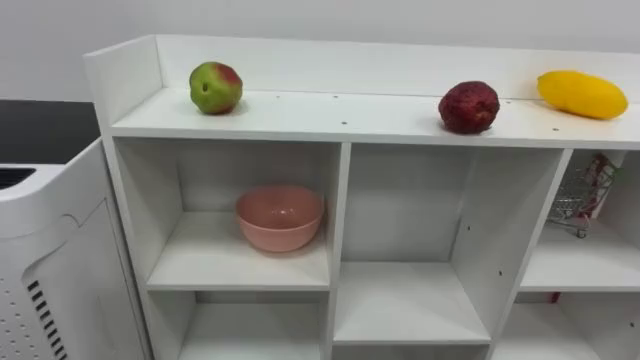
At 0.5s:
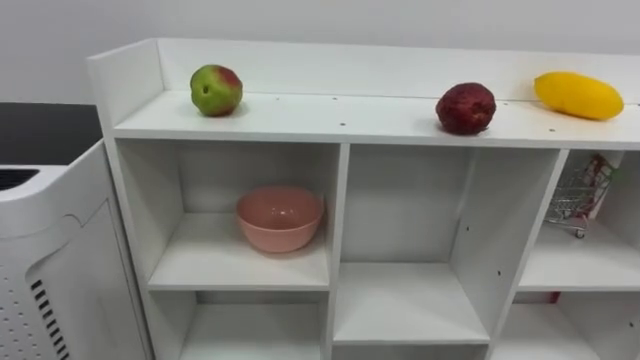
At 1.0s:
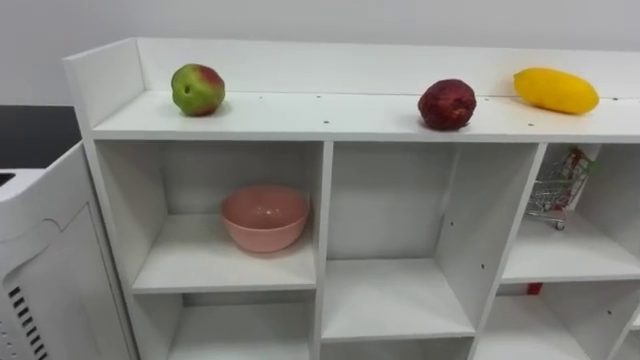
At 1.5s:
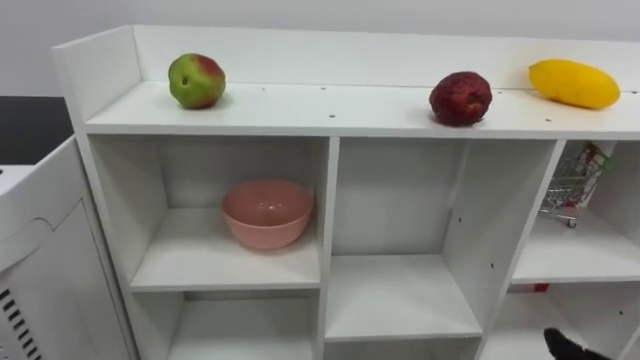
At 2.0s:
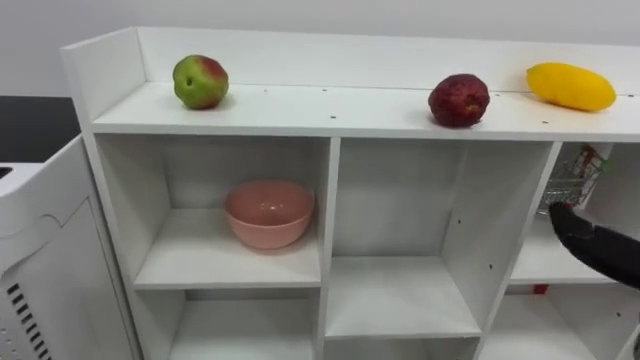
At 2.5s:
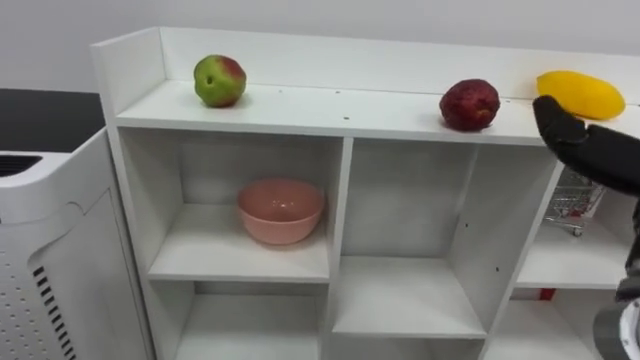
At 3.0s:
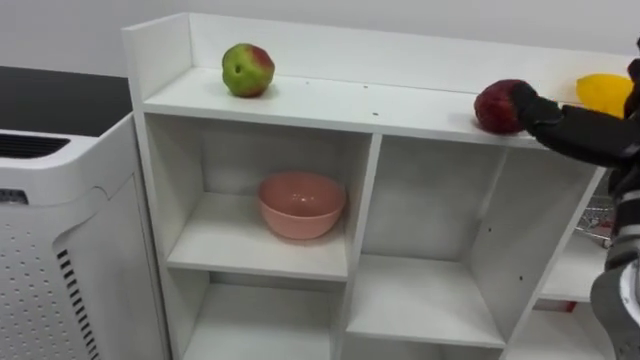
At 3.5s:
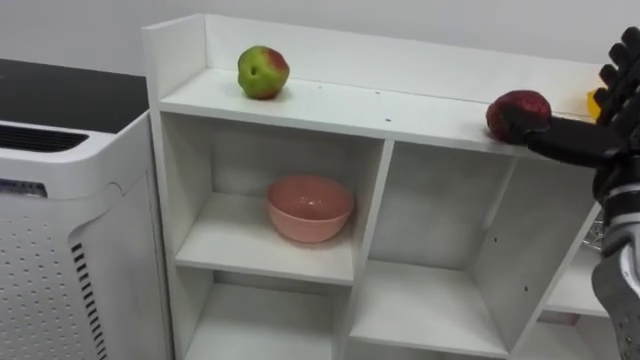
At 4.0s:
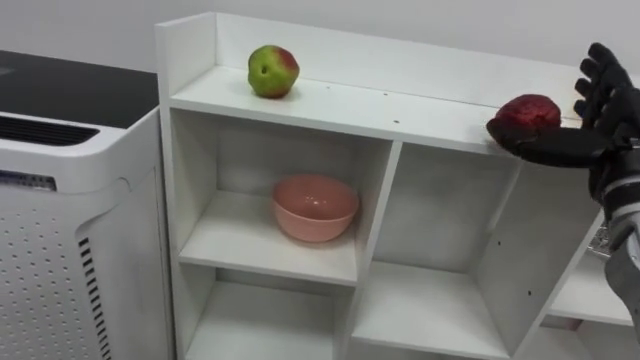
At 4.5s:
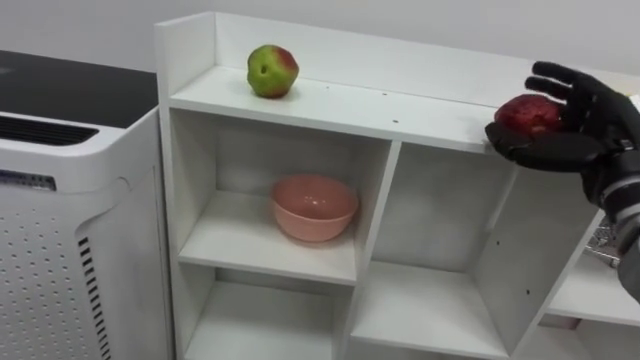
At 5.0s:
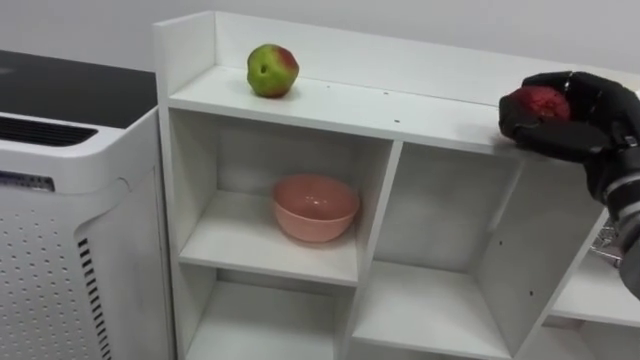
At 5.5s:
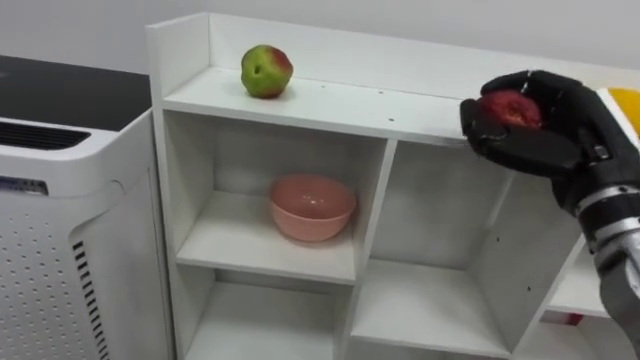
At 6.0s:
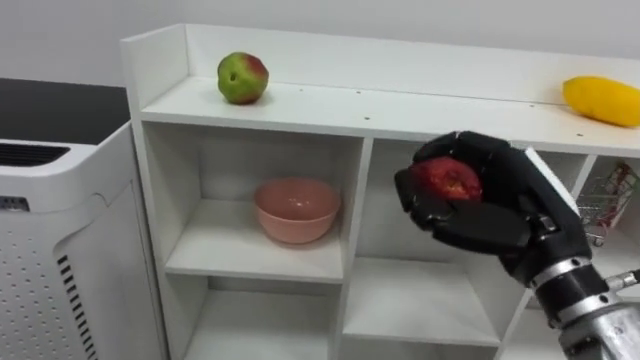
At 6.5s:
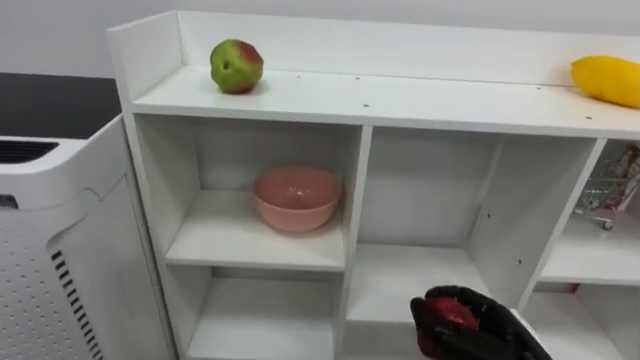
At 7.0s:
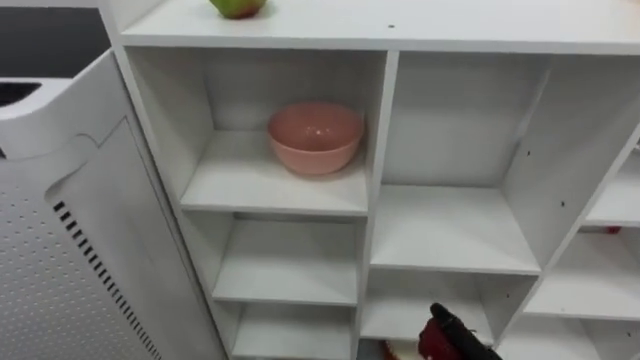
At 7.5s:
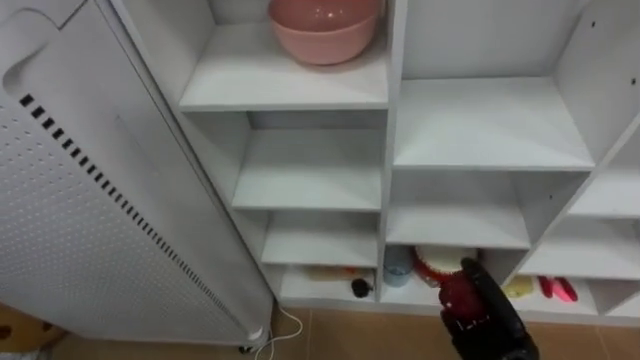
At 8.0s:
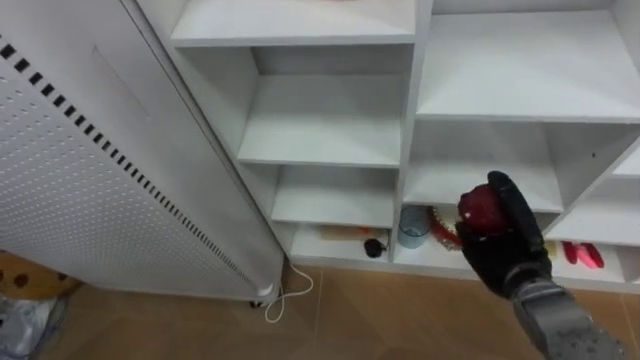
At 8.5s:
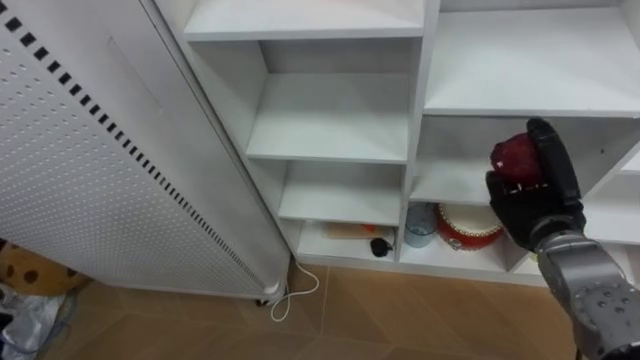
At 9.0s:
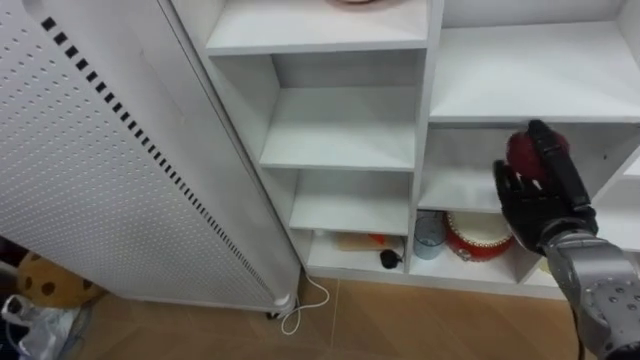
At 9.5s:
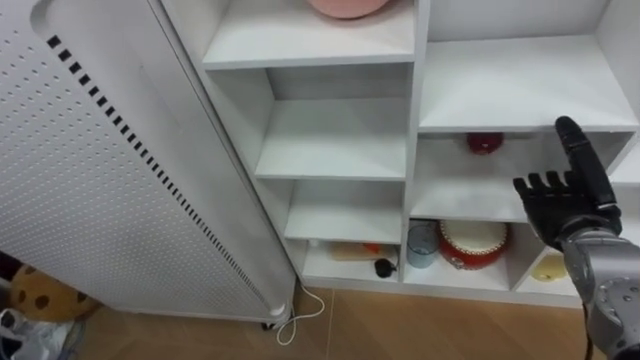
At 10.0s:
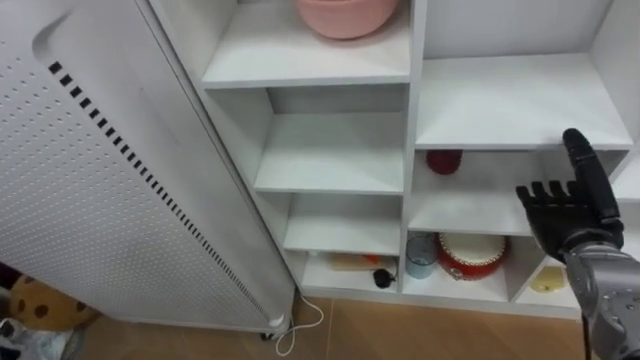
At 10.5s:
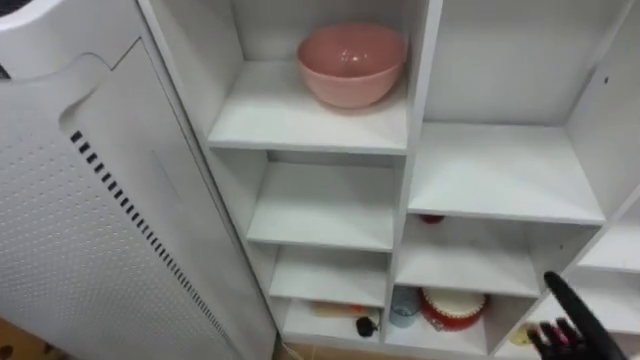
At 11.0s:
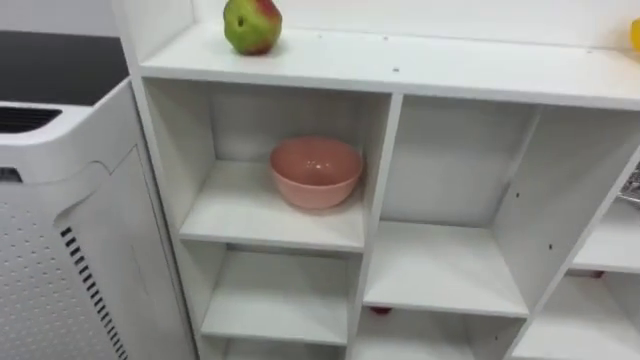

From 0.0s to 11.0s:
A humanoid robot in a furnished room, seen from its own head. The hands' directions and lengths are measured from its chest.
Task of the whole recording: Put the apple in the cell in the second column from the left and the second row from the top.
From 3.5s to 5.5s: The right hand closes up.
From 7.5s to 9.0s: The right hand heads upward and forward, covering roughly 15 cm, and opens its fingers.

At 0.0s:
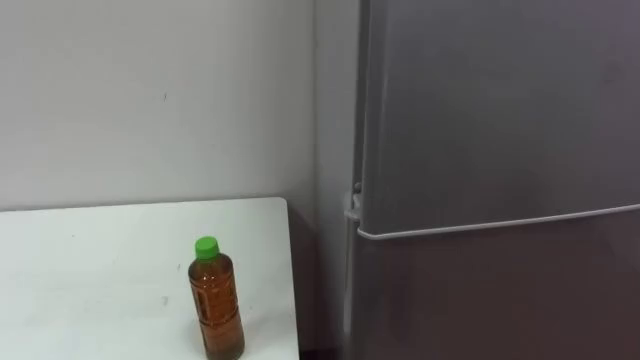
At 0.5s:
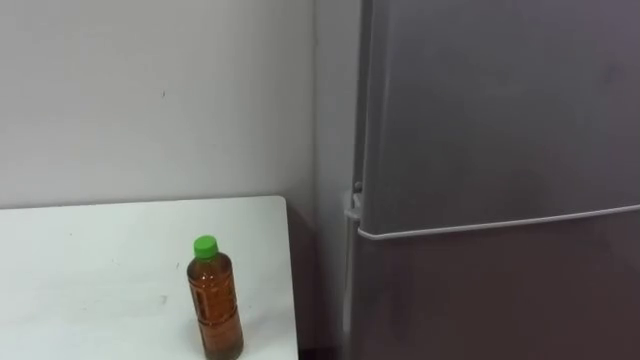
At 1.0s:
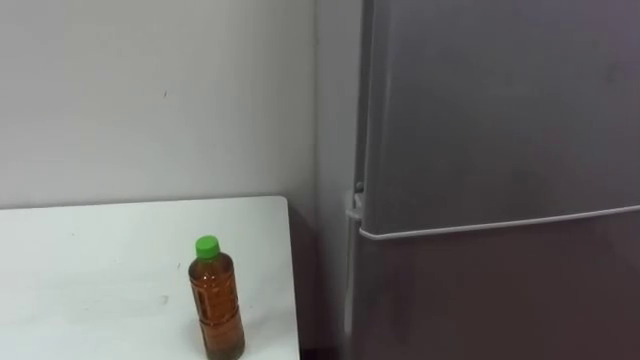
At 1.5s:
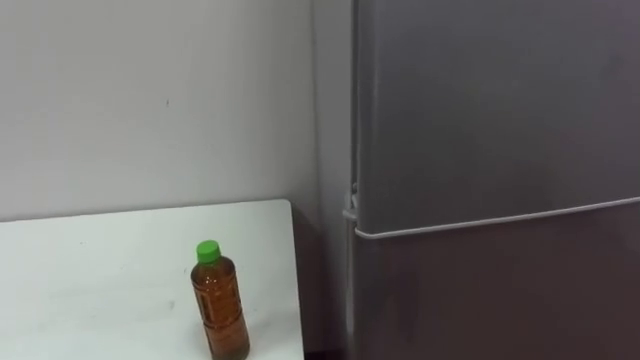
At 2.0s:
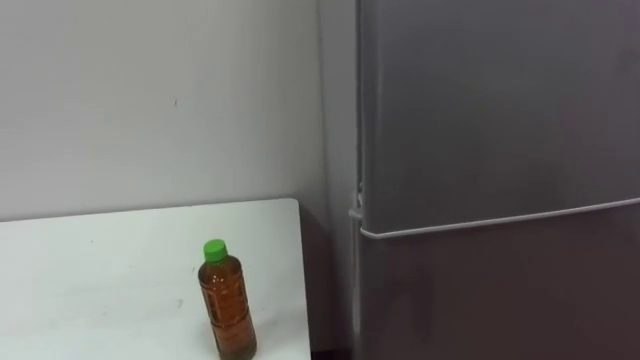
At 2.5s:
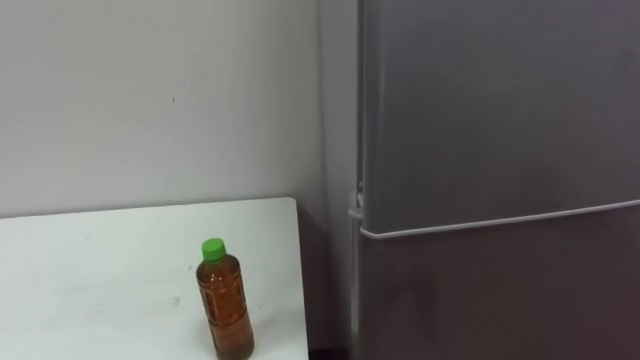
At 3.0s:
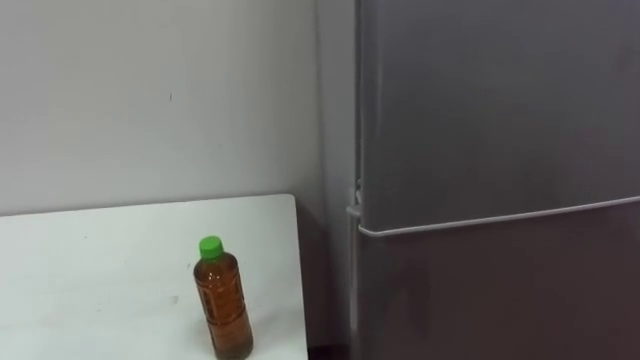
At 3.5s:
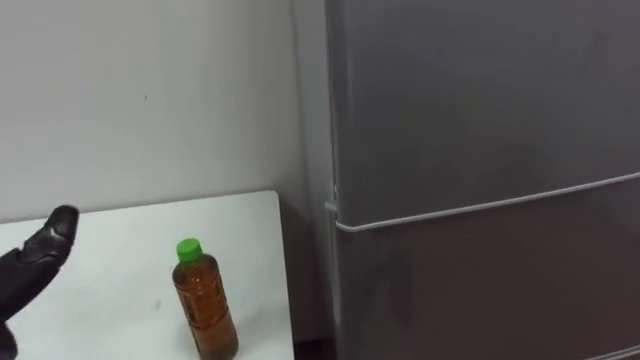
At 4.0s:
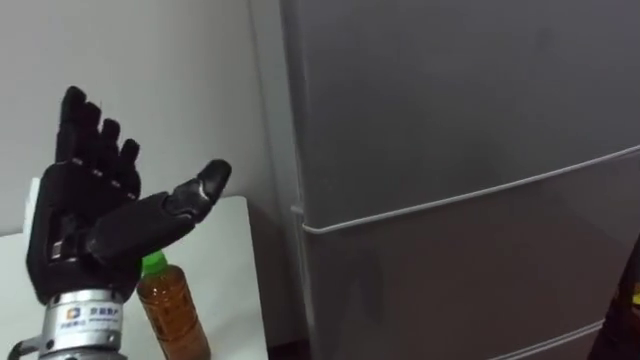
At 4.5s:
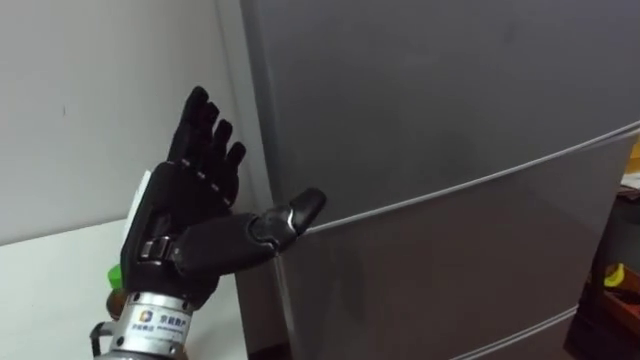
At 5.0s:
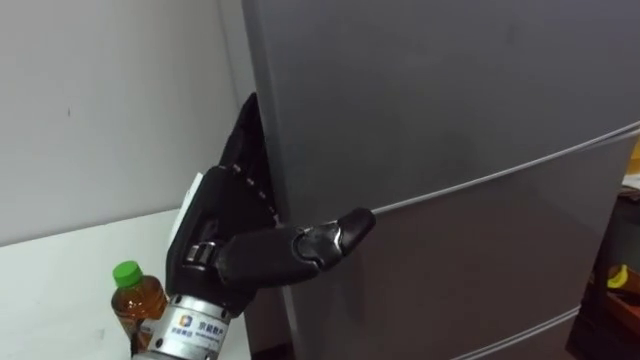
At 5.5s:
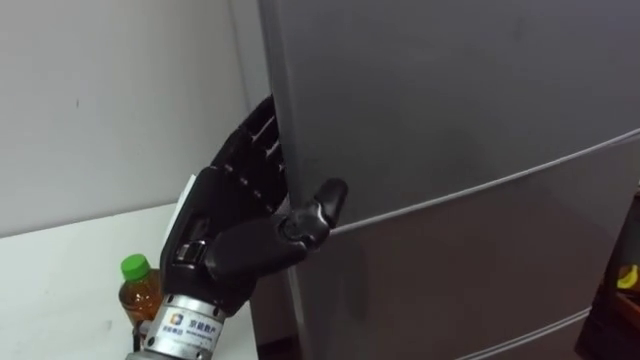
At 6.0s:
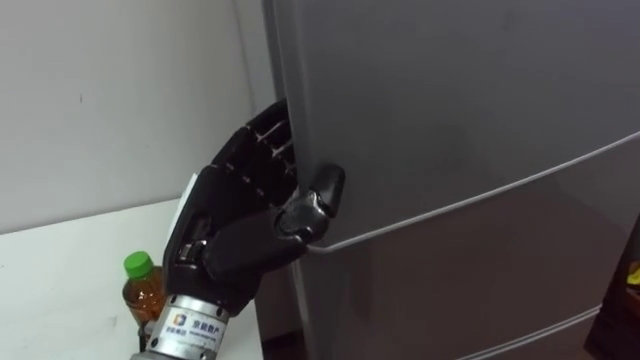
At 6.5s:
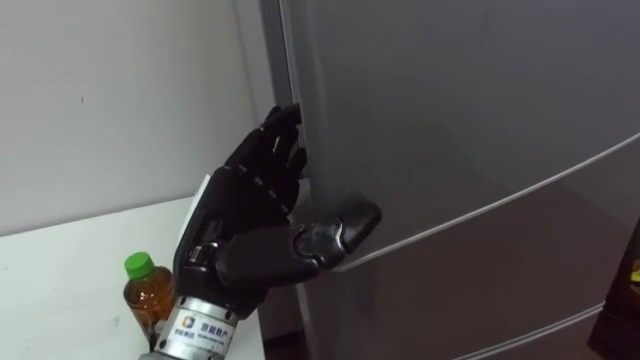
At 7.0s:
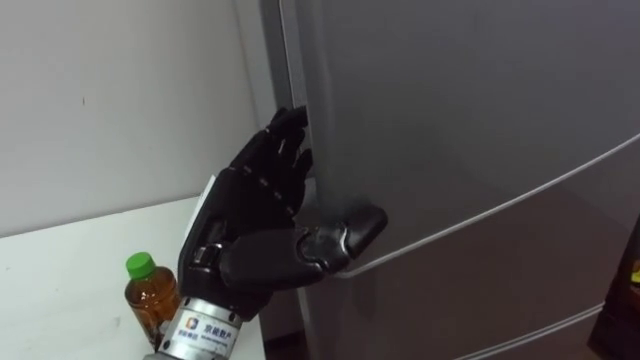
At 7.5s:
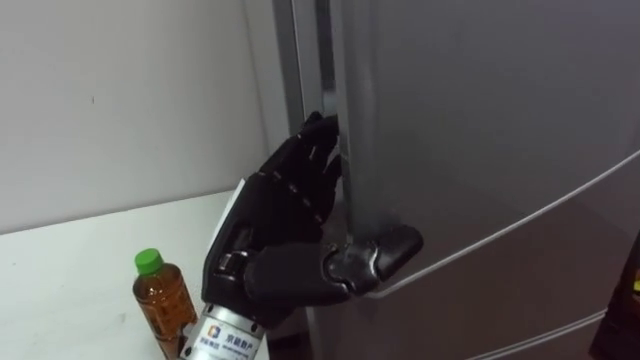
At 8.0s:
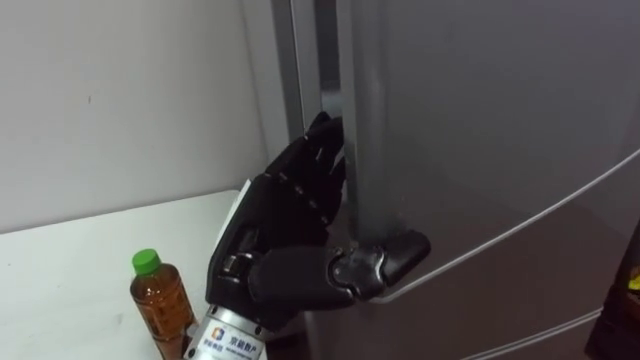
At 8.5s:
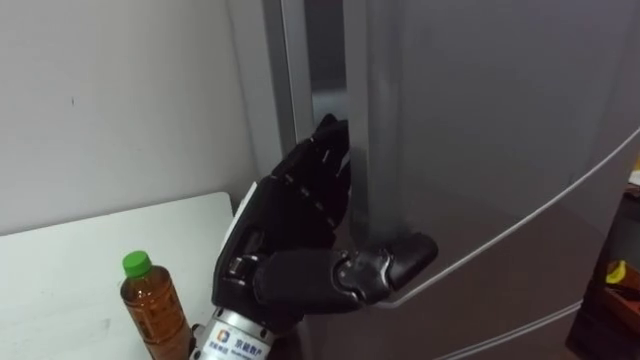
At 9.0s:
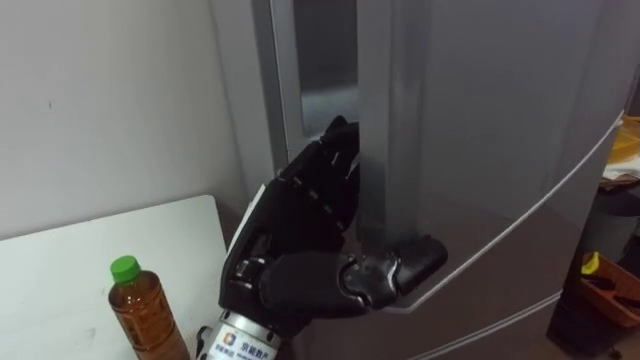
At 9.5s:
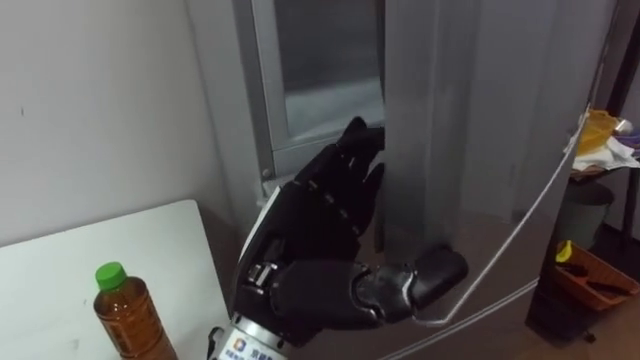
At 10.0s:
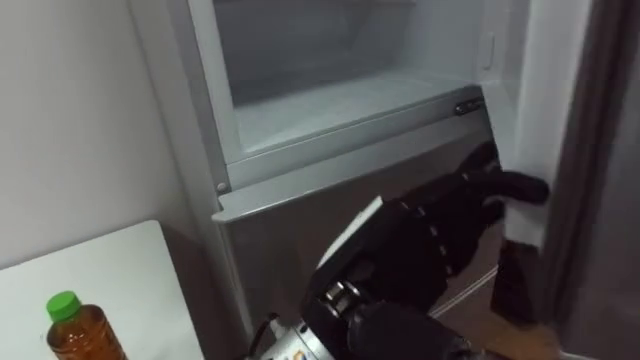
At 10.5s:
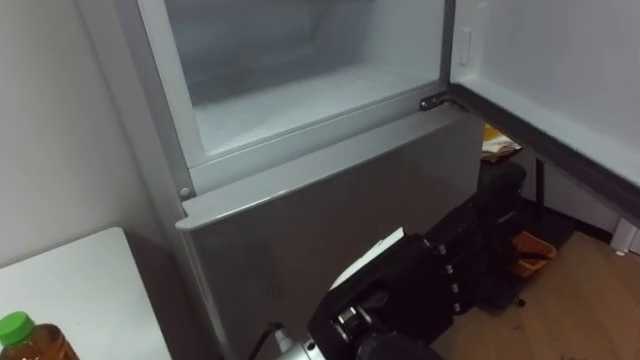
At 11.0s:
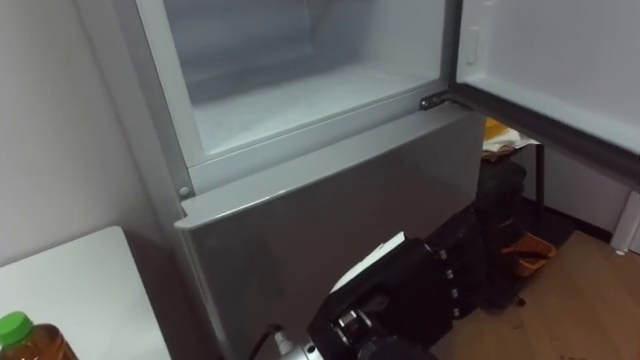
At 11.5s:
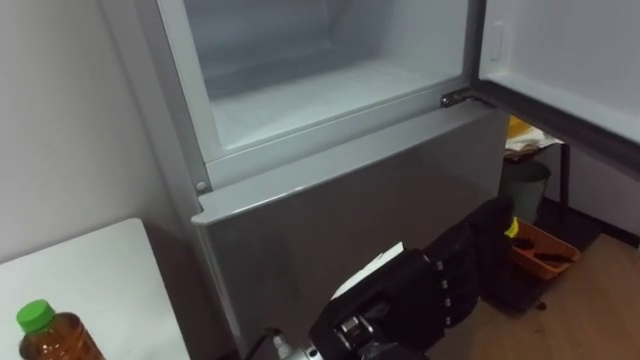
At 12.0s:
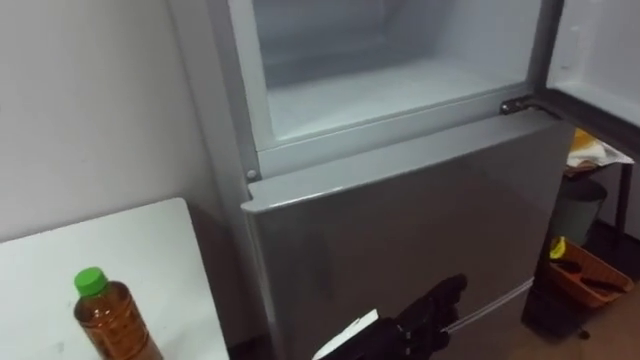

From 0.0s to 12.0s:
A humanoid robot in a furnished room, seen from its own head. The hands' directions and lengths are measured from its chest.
Task of the whole recording: Open the upper refrigerator door, put the drink from the table into the refrigerator, and then close the refrigerator door.
From 4.0s to 6.0s: The left hand goes approximately 10 cm to the right, and closes its fingers.
From 6.0s to 8.0s: The left hand opens.
From 8.0s to 10.0s: The left hand heads to the right, covering approximately 5 cm.
From 10.0s to 12.0s: The left hand shifts about 10 cm downward.
